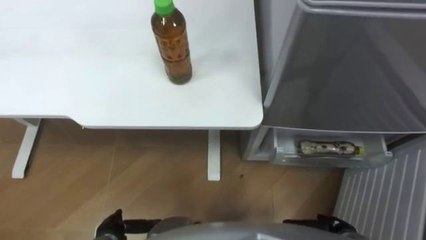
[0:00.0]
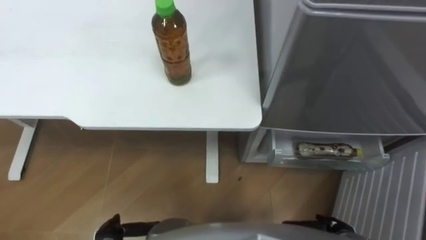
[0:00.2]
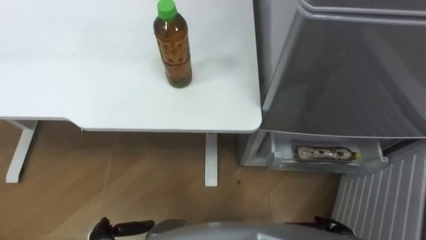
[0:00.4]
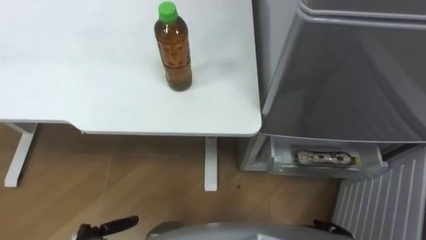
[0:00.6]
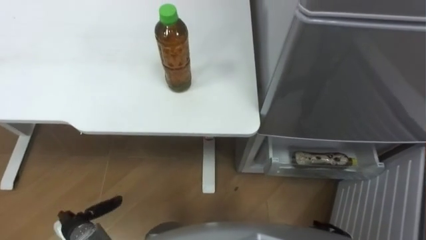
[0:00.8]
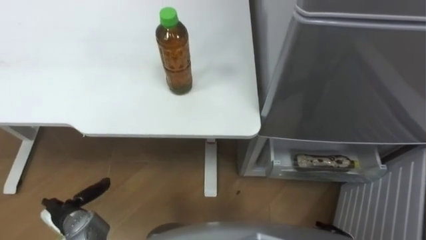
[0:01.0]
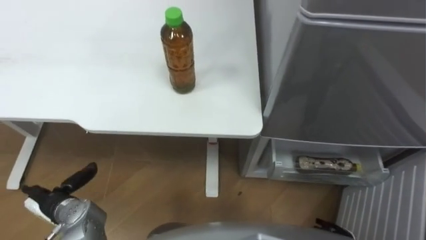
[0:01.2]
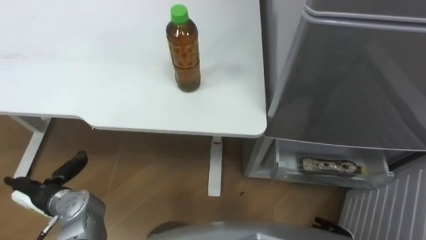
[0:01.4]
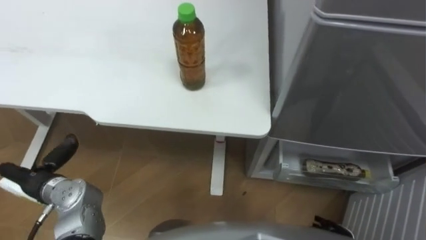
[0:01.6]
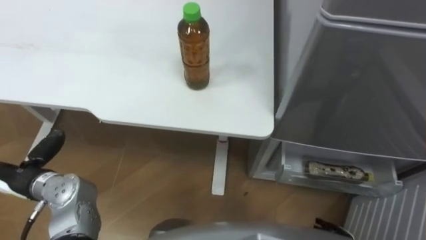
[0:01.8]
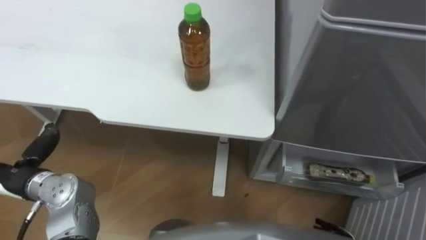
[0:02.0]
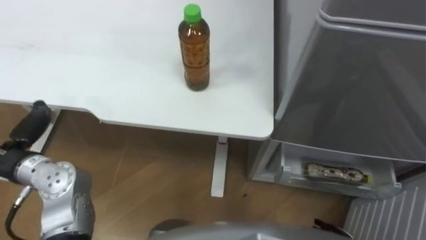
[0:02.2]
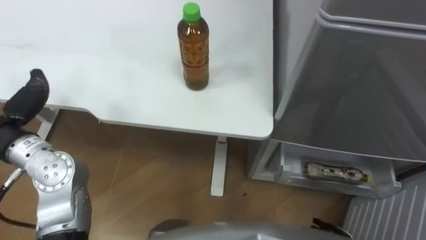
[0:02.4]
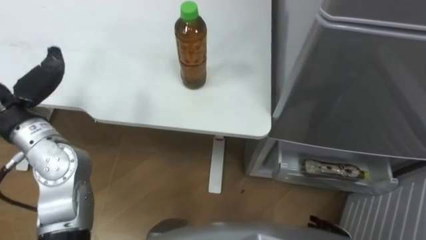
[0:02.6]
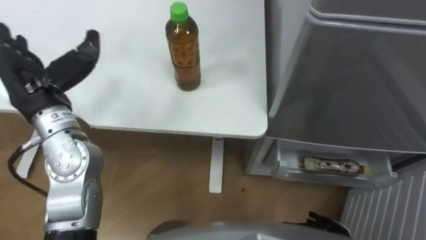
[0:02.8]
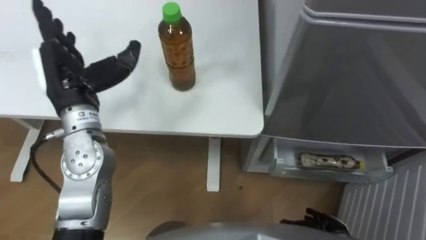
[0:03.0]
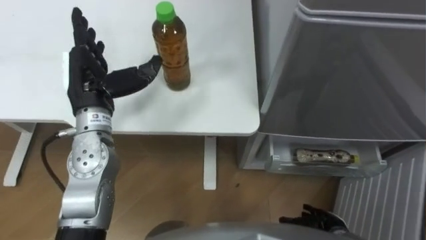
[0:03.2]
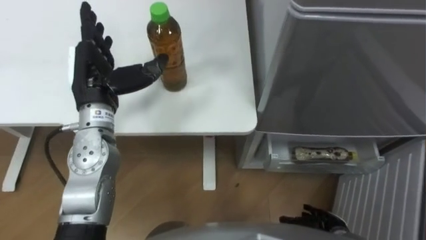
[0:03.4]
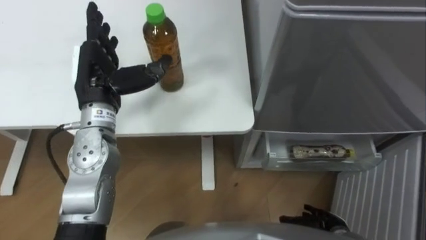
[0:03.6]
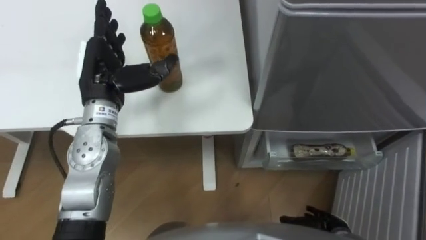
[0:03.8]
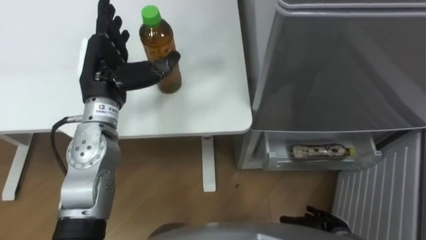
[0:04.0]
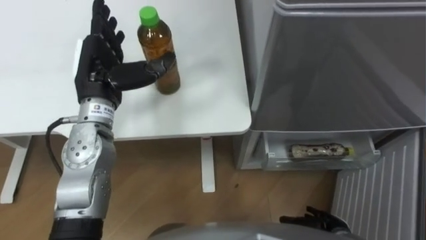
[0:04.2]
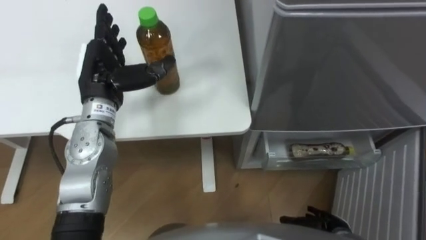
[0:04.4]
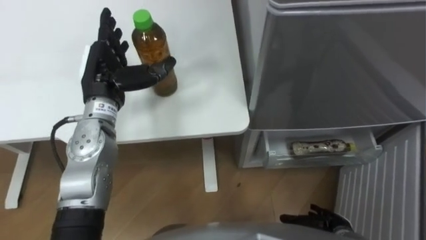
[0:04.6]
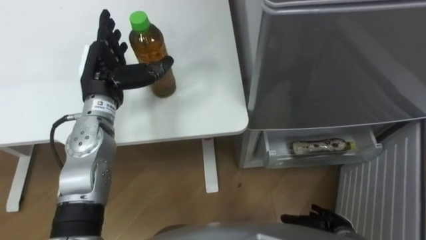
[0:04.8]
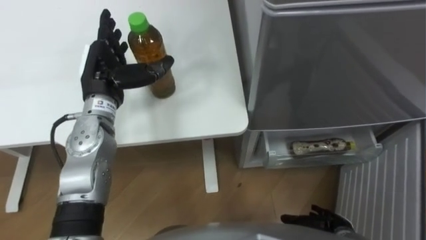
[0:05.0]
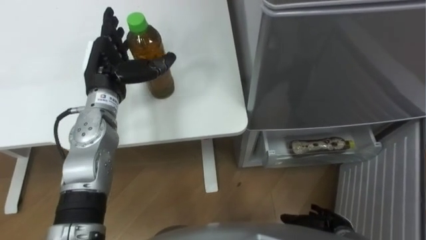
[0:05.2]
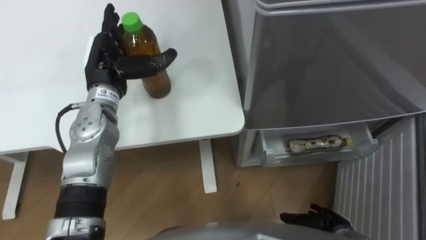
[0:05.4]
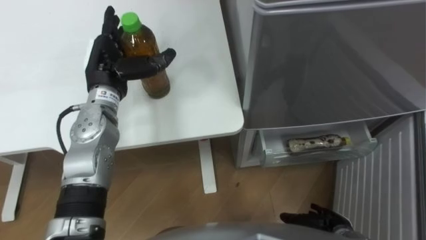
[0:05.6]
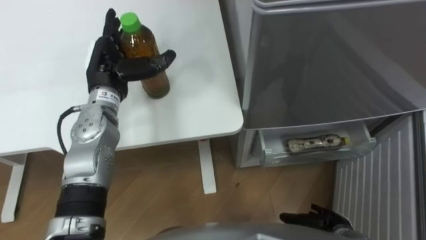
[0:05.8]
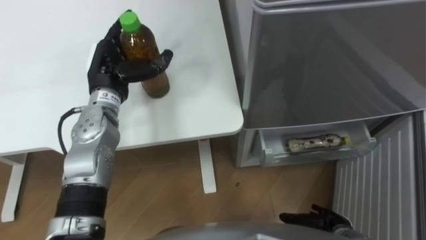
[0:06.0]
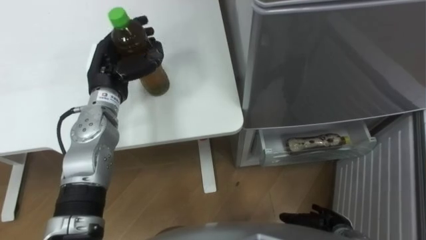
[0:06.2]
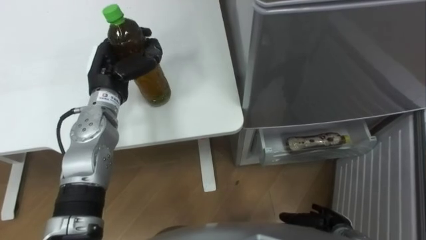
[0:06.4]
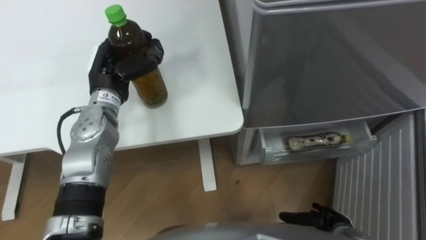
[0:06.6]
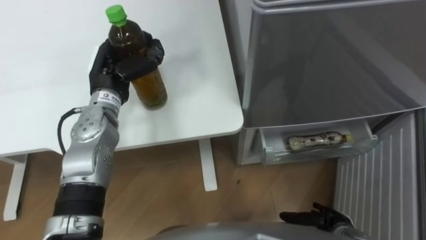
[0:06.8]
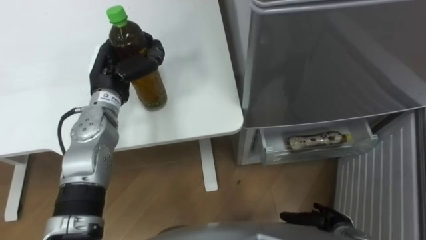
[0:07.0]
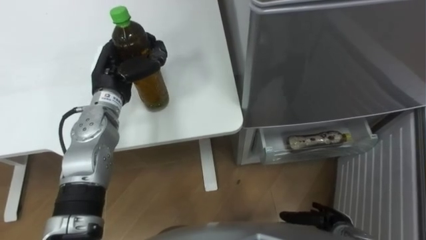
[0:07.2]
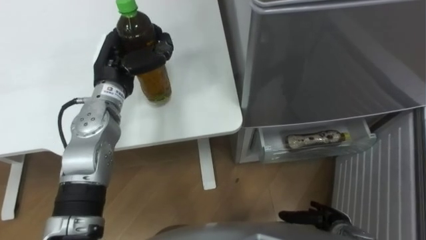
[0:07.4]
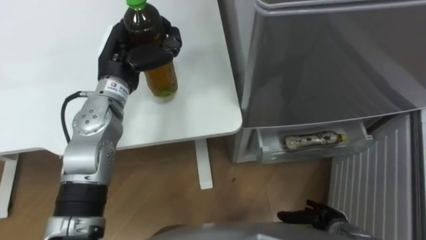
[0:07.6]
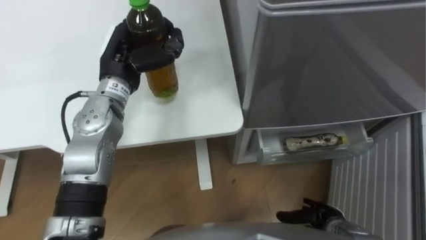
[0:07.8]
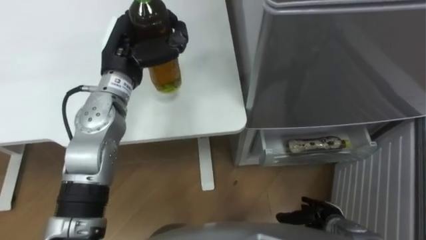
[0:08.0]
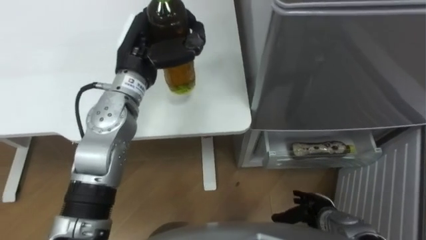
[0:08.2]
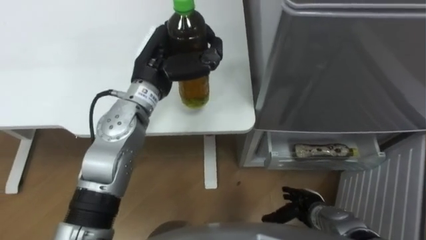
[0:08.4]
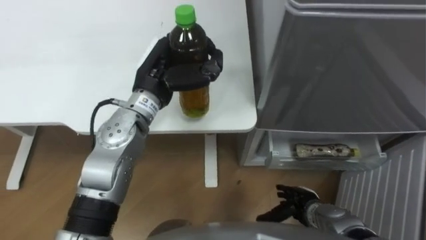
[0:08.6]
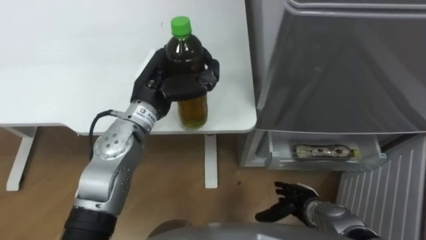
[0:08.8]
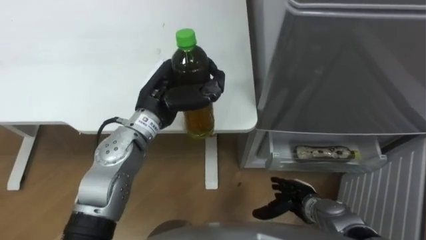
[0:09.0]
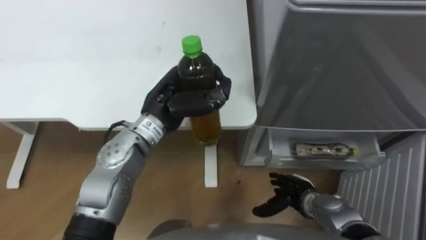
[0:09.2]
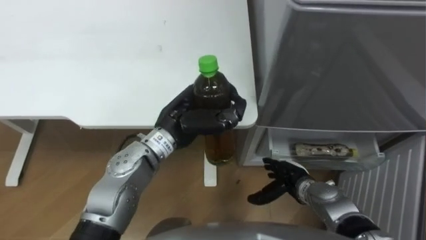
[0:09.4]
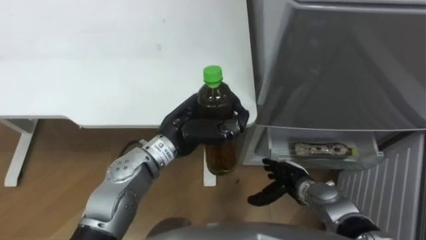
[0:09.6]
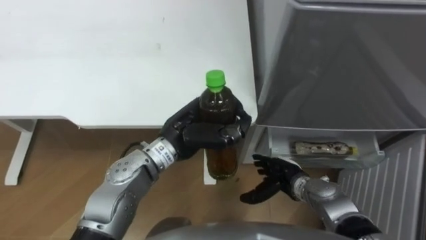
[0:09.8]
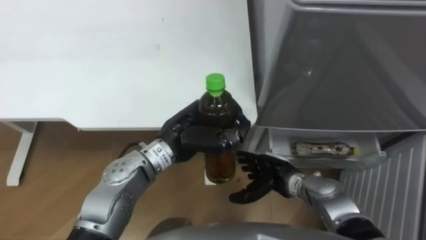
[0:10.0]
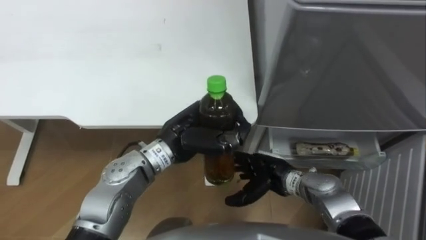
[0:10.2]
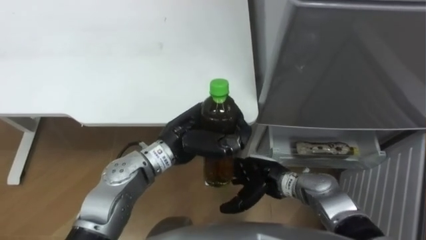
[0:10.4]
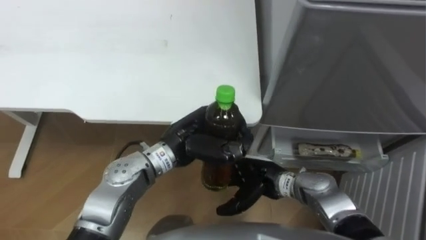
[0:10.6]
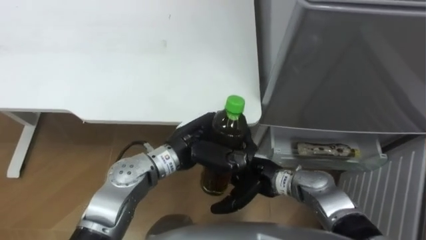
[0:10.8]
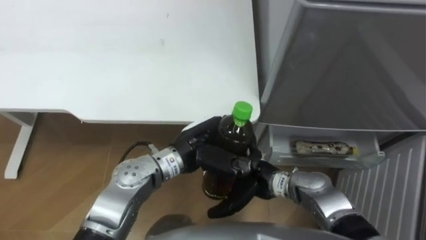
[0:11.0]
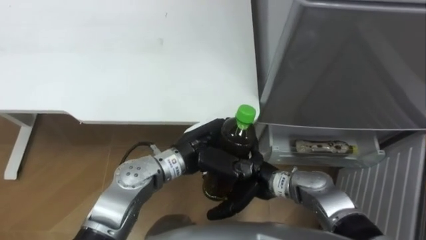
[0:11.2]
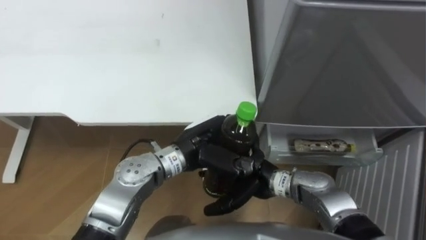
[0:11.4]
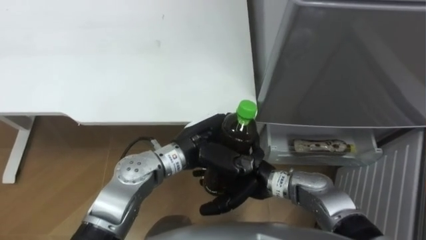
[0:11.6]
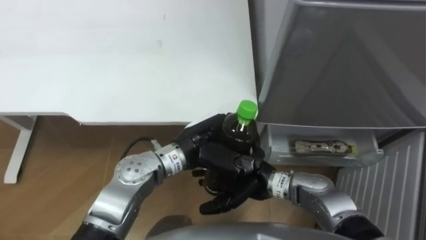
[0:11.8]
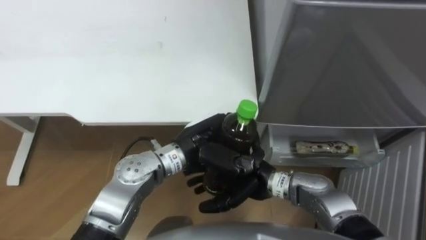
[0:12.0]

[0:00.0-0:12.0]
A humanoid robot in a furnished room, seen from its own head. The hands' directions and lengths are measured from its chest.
Task of the whole recording: Place the drink on the table on the bottom shelf of the refrigerator, then close the drawer and the refrigerator door.
0:03.0 to 0:04.4: The left hand moves roughly 5 cm.
0:06.0 to 0:07.6: The left hand closes.
0:07.6 to 0:09.0: The left hand moves to the right, some 5 cm. Meanwhile the right hand moves to the left and forward, some 10 cm.
0:09.0 to 0:10.4: The right hand moves to the left and upward, some 10 cm; the left hand moves backward, roughly 5 cm.
0:10.4 to 0:12.0: The right hand shifts by roughly 5 cm.

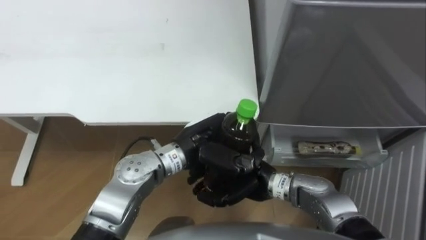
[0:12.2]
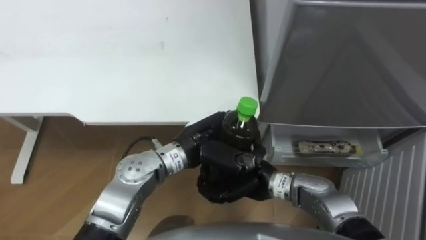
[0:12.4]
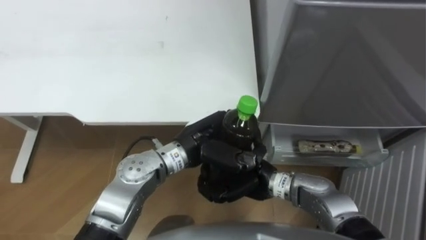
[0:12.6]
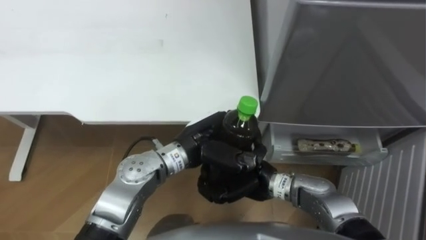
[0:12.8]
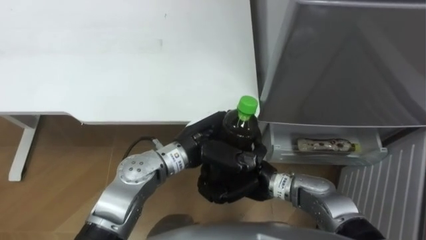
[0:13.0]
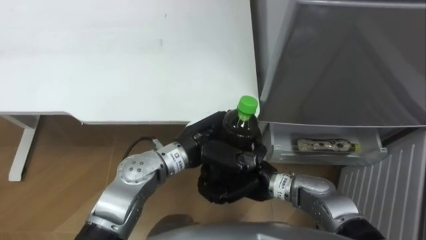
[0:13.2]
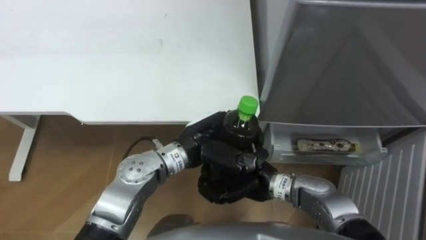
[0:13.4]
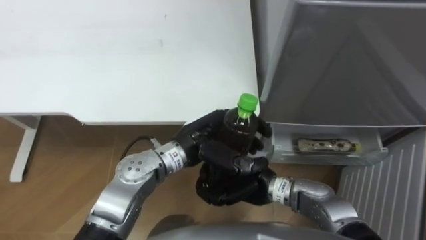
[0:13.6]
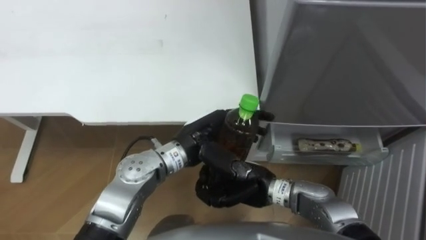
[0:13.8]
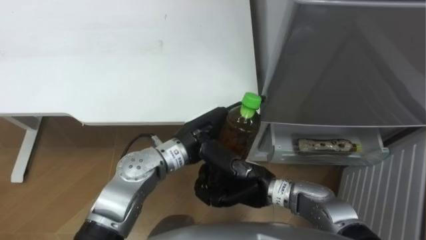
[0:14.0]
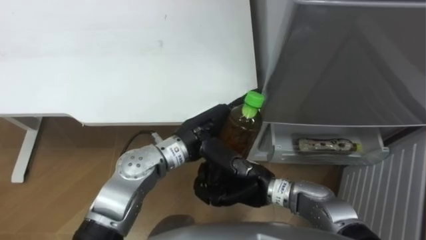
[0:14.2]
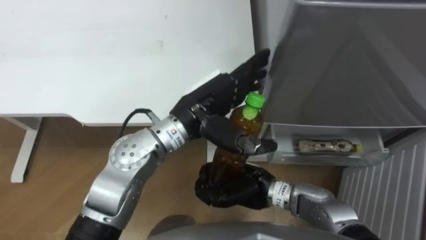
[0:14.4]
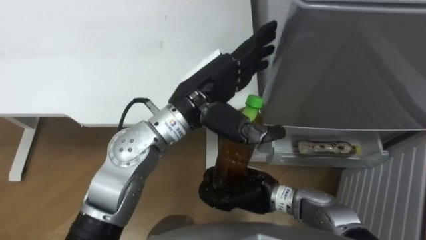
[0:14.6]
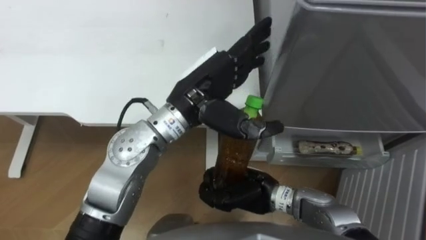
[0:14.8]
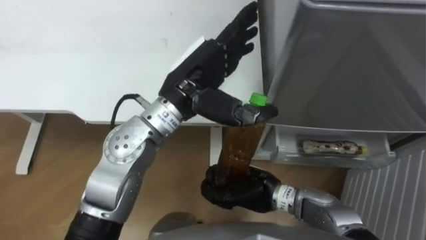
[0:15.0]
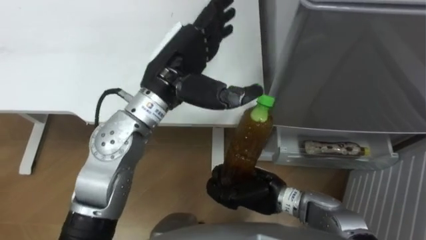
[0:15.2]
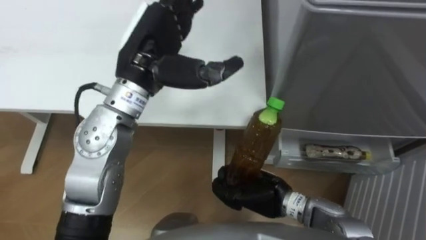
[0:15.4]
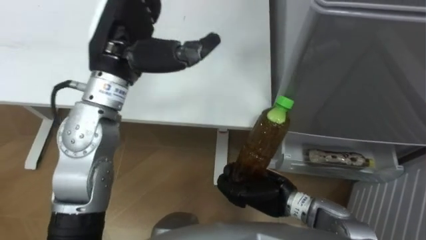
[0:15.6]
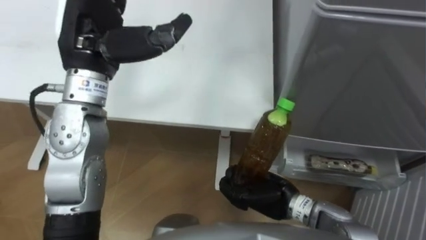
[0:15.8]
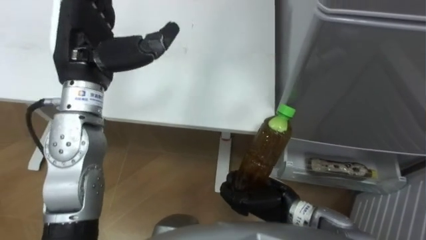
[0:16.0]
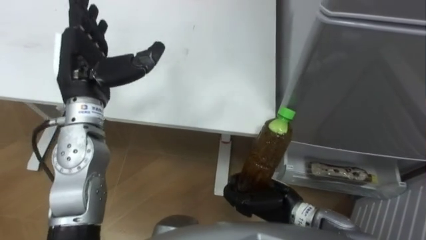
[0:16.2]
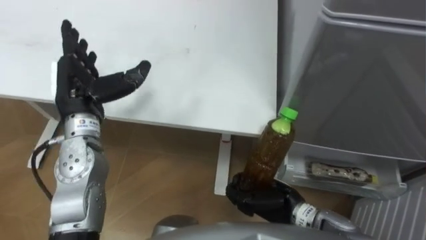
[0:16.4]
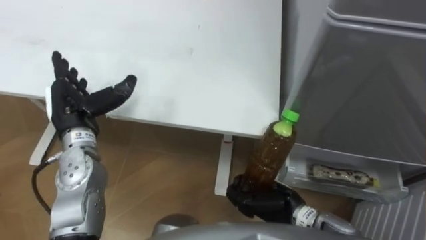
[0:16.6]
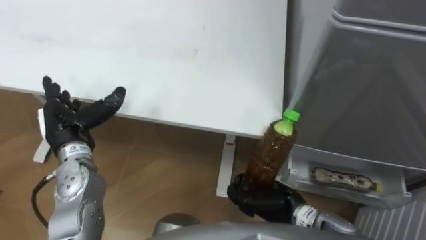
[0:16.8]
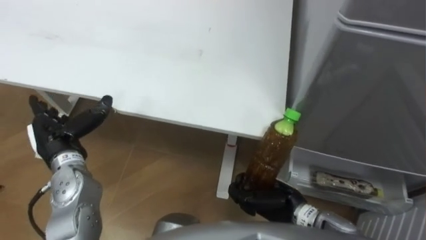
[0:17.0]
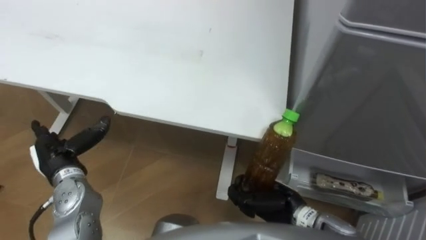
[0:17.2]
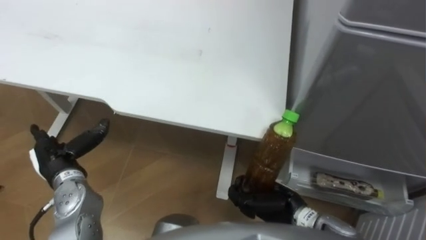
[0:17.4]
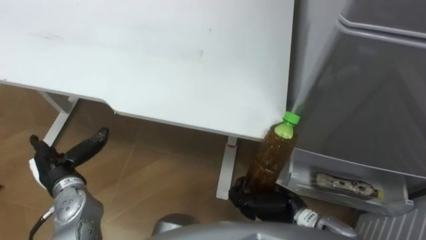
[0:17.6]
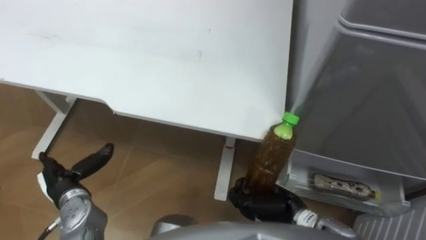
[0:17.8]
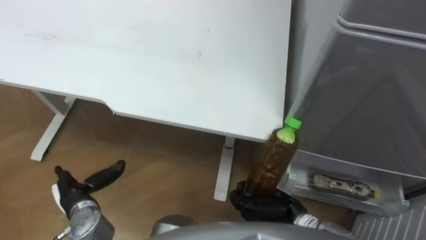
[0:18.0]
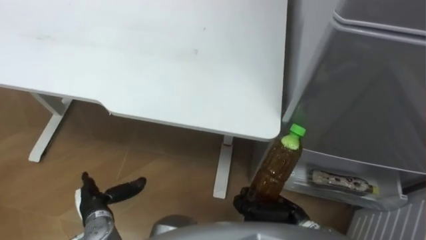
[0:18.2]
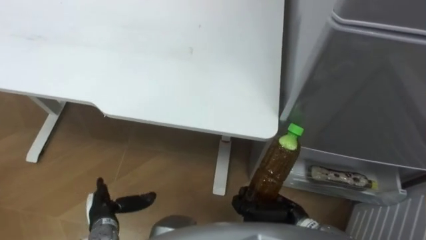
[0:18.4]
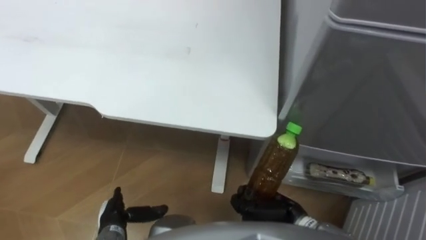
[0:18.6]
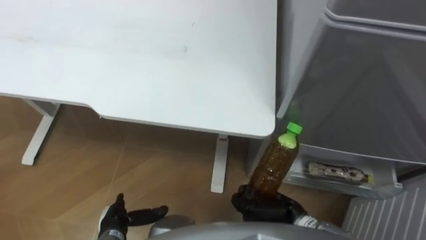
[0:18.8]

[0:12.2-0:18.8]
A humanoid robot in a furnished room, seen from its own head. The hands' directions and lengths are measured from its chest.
Task of the whole recording: Place the drink on the table on the bottom shelf of the refrigerator, then close the drawer and the refrigerator door.
0:12.2 to 0:13.8: The left hand opens its fingers.
0:13.8 to 0:15.4: The left hand travels upward, to the left and forward by approximately 20 cm.
0:15.4 to 0:17.2: The left hand moves downward, to the left and backward, roughly 30 cm, while the right hand moves approximately 5 cm.
0:17.2 to 0:18.8: The left hand shifts some 20 cm downward, backward and to the right.
